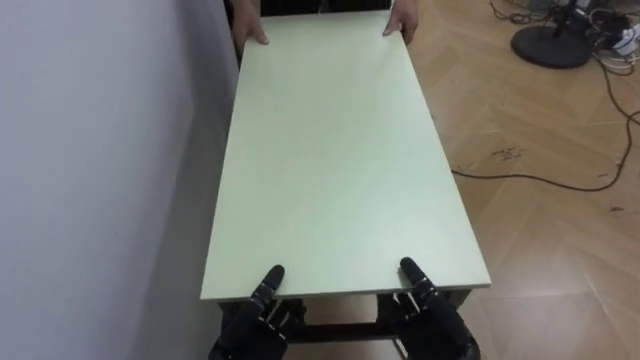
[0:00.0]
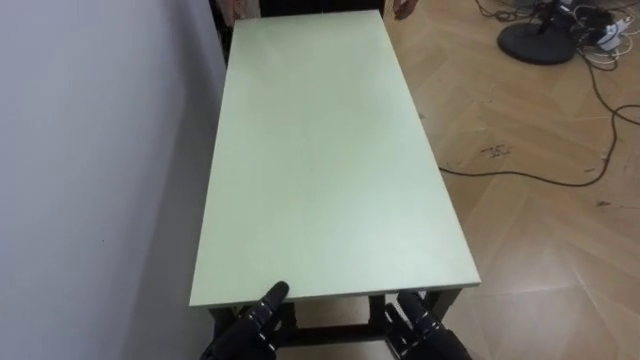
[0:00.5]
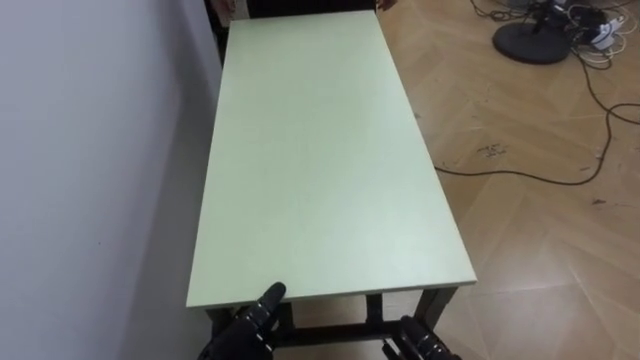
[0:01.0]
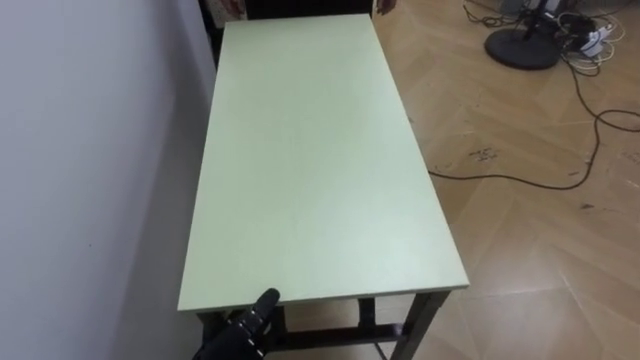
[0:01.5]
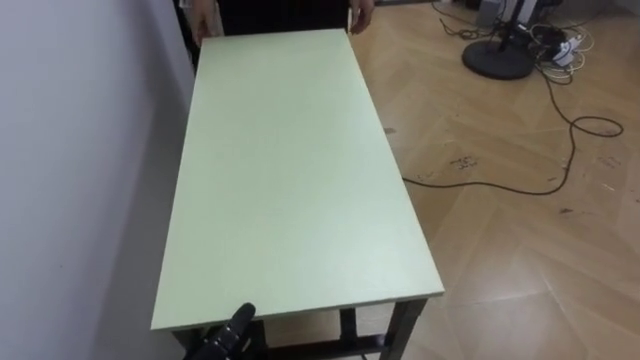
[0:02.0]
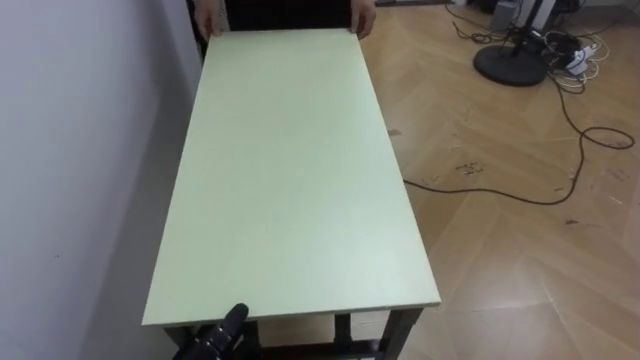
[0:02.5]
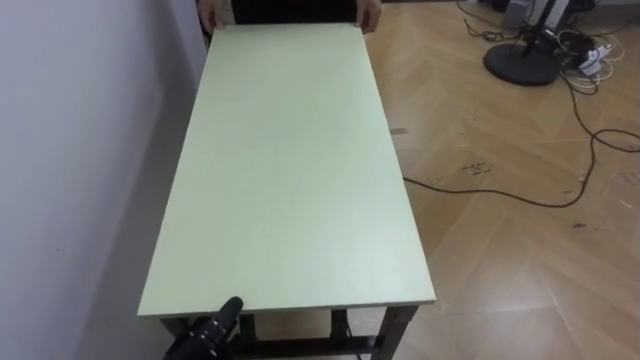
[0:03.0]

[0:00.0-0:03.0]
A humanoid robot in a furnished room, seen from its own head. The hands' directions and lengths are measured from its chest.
Task of the whole recording: Move the table to the back left with someone.
0:00.0 to 0:01.5: The left hand opens its fingers.

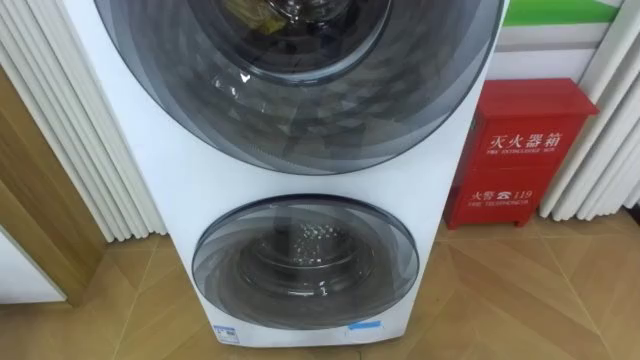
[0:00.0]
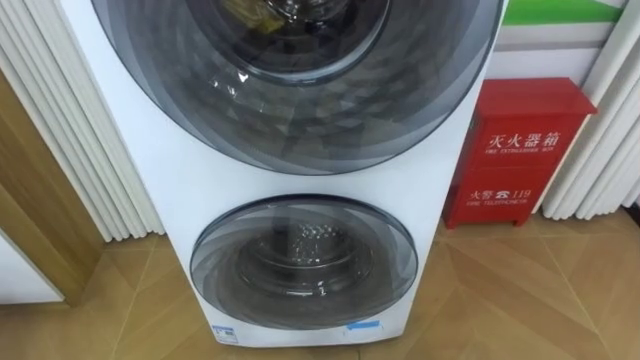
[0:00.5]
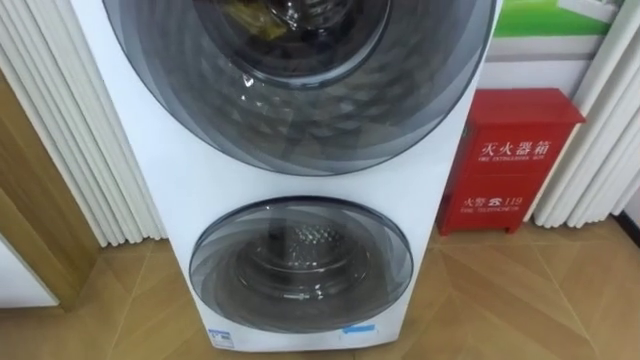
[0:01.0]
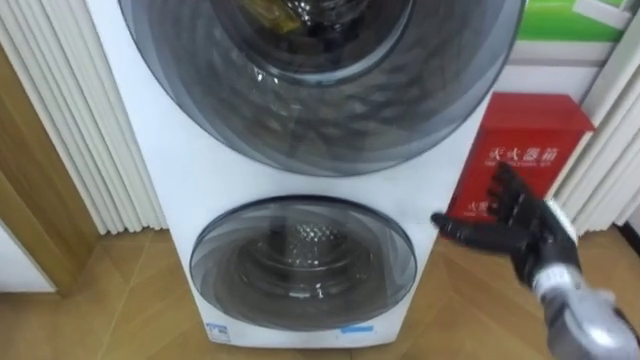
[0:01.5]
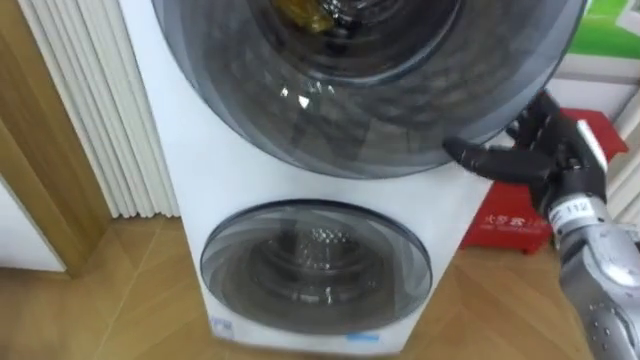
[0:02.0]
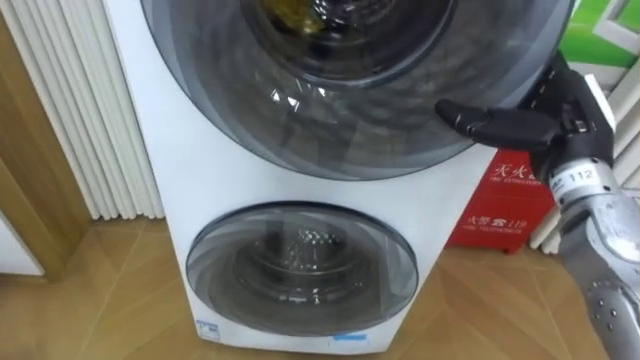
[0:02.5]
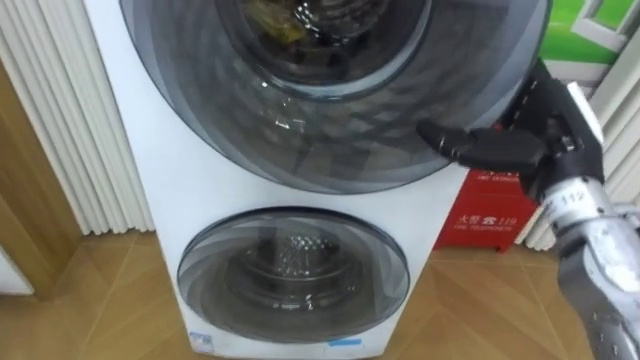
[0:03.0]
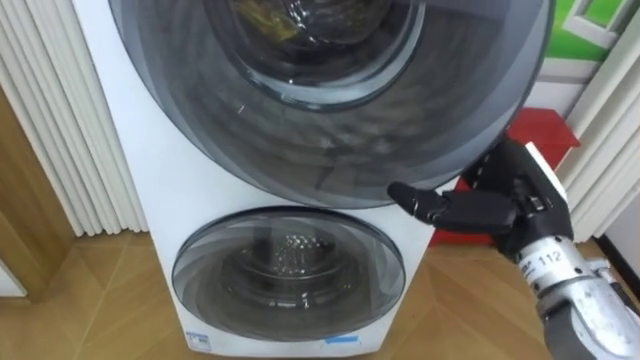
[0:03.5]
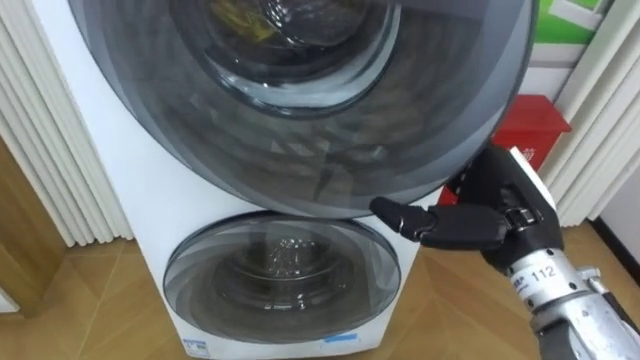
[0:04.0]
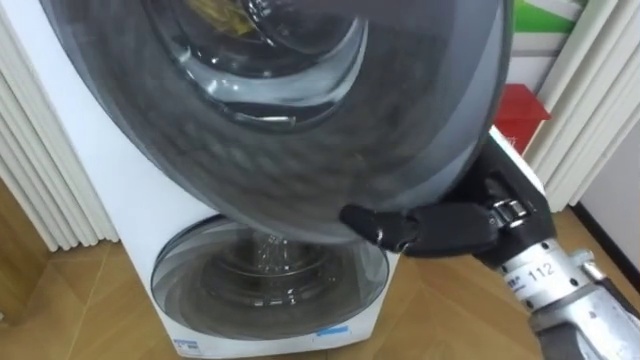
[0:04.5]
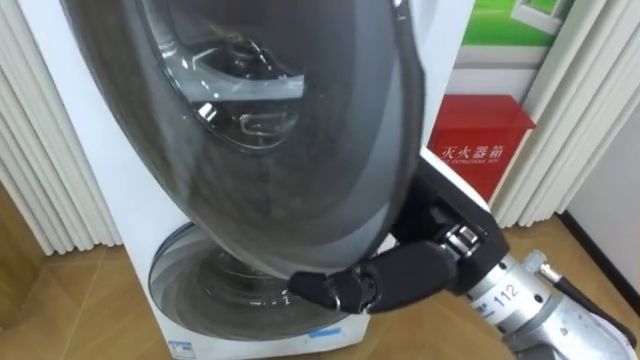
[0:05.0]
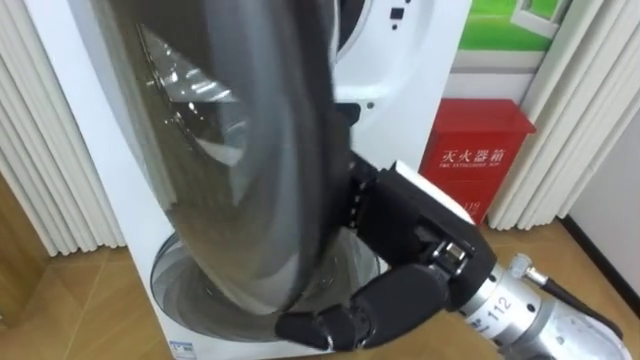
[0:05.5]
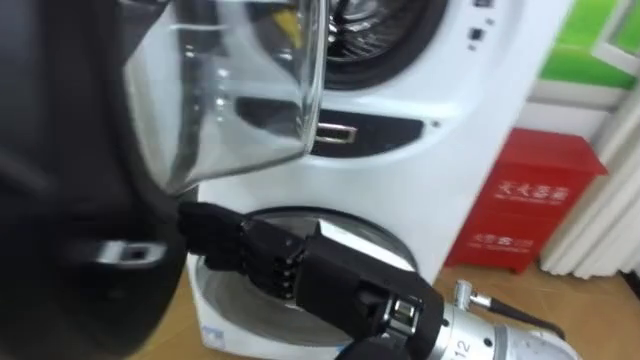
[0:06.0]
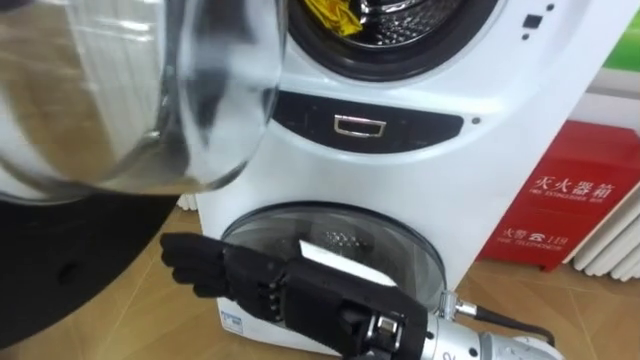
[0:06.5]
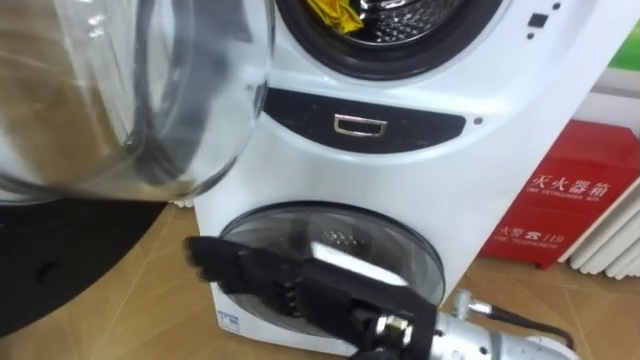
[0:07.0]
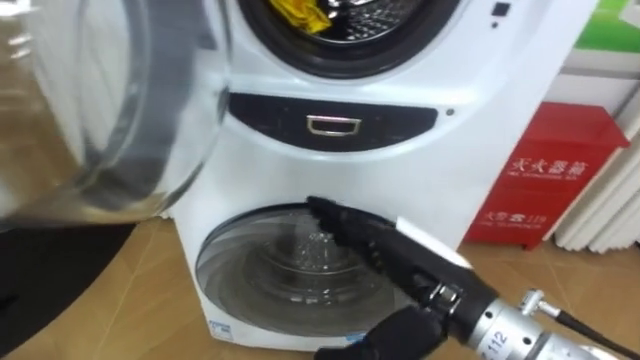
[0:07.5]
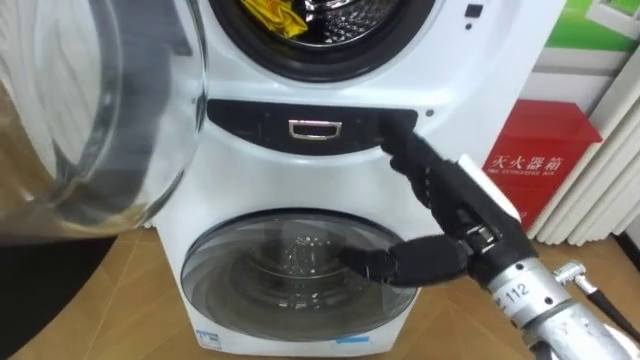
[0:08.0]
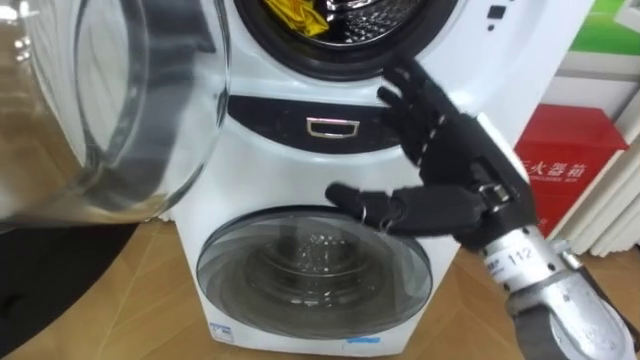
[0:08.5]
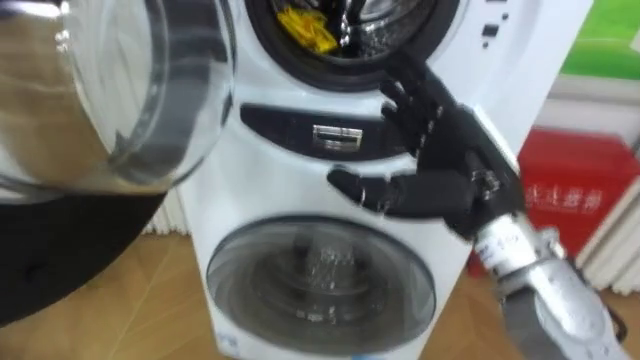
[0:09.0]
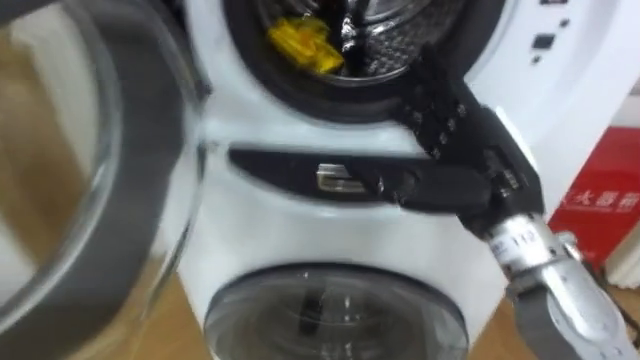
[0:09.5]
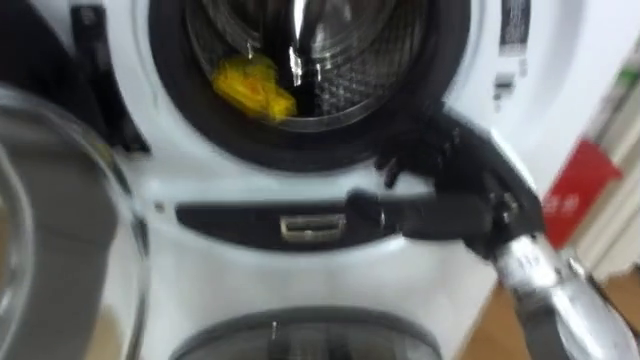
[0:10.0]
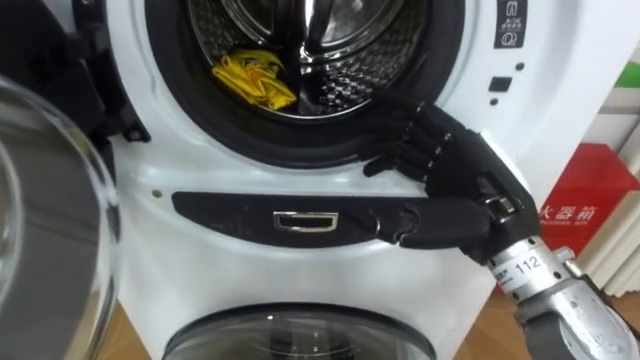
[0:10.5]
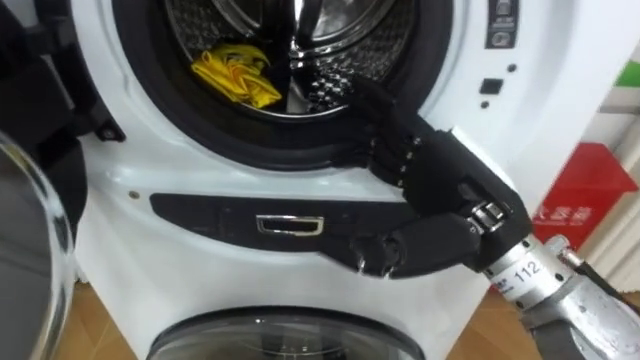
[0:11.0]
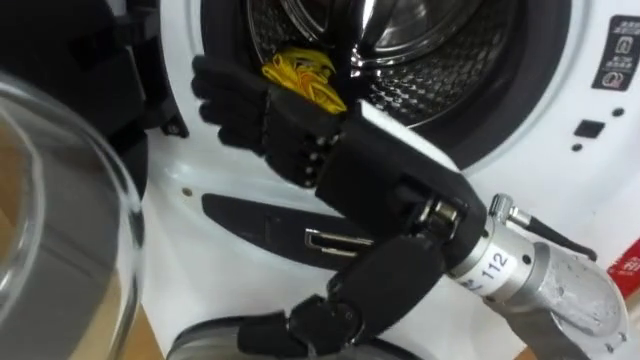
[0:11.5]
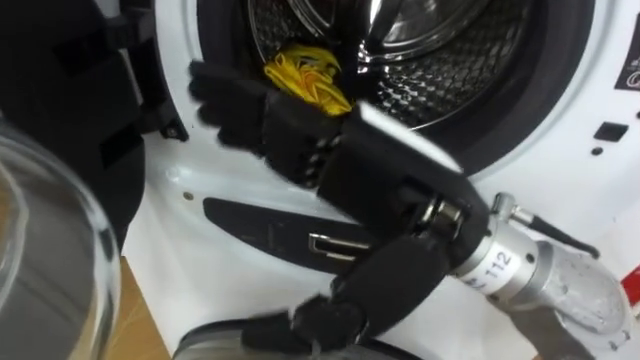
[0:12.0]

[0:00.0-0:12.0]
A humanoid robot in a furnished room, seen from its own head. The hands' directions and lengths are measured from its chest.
Task of the whole recording: Open the washing machine door, take out the yellow clothes, place them in the box on the right, and close the washing machine door.
0:02.0 to 0:04.0: The right hand travels to the left and backward by roughly 10 cm.
0:04.0 to 0:06.0: The right hand moves to the left and backward, about 15 cm.
0:06.0 to 0:08.0: The right hand goes roughly 15 cm to the right and forward.
0:10.0 to 0:12.0: The right hand shifts approximately 15 cm to the left, upward and backward.

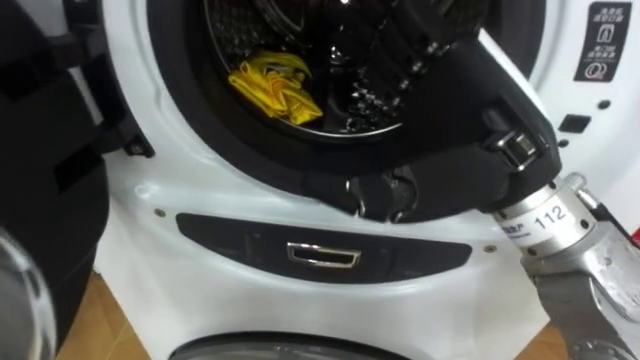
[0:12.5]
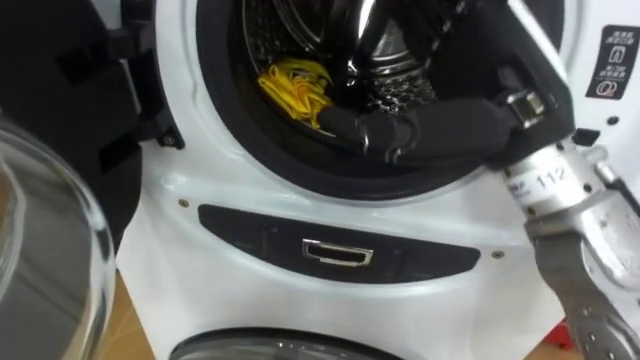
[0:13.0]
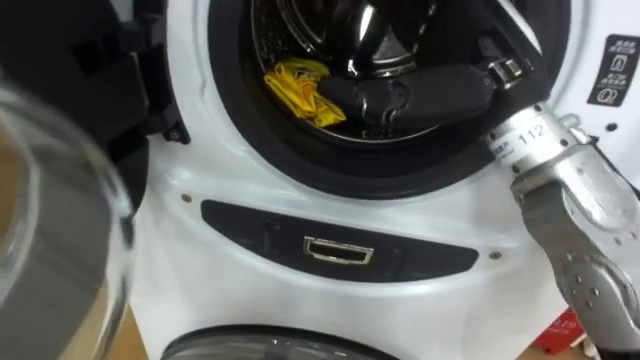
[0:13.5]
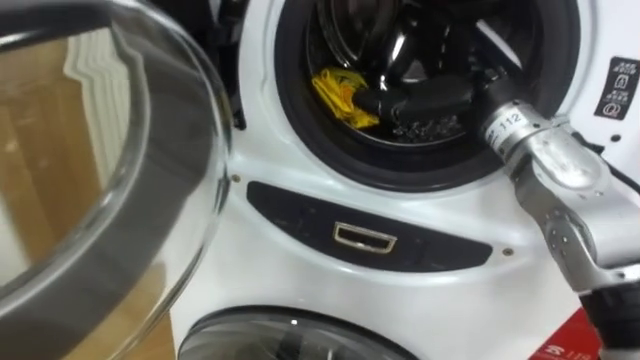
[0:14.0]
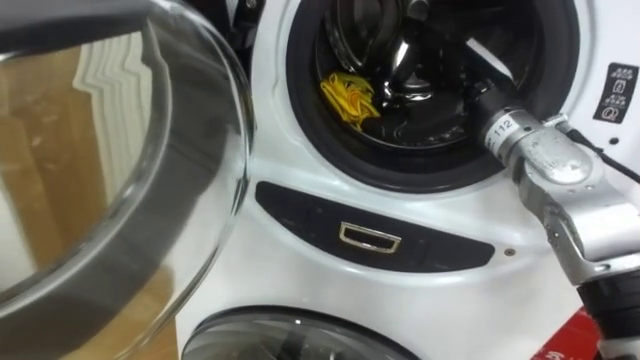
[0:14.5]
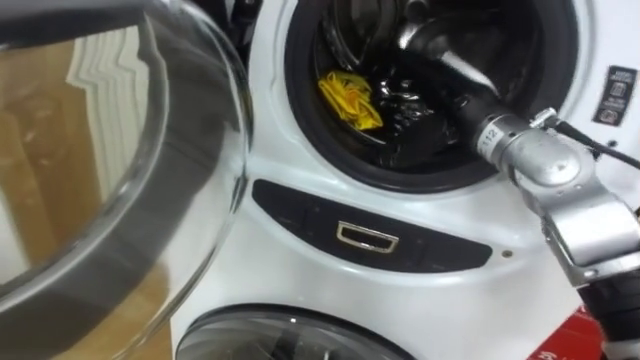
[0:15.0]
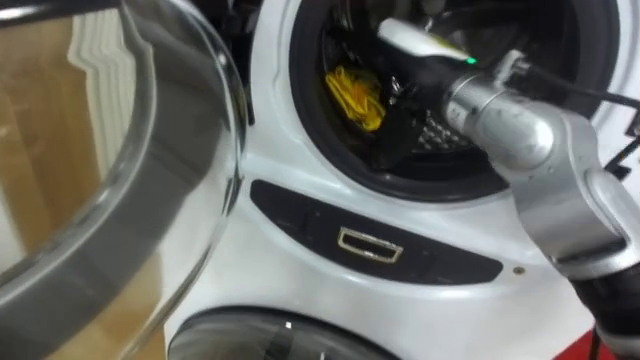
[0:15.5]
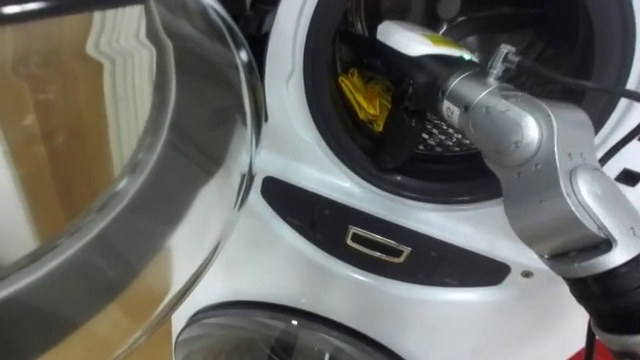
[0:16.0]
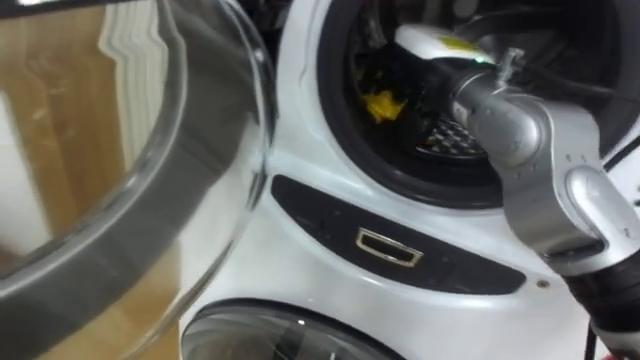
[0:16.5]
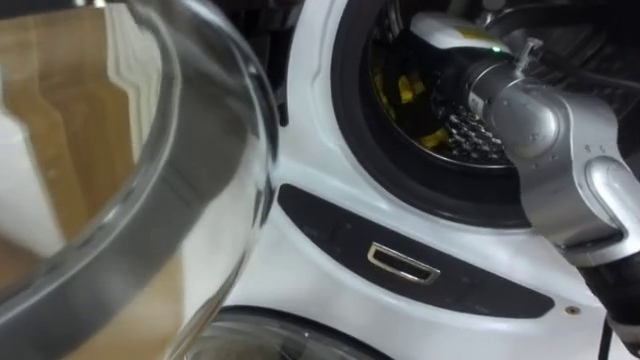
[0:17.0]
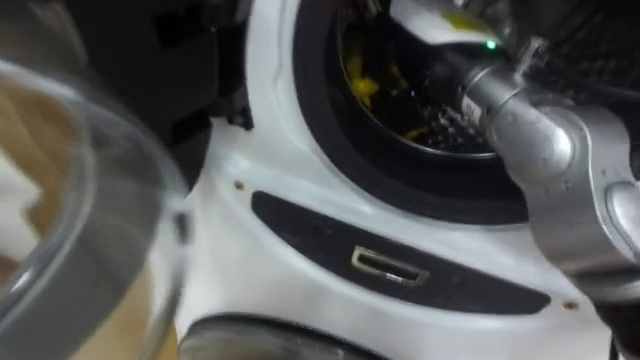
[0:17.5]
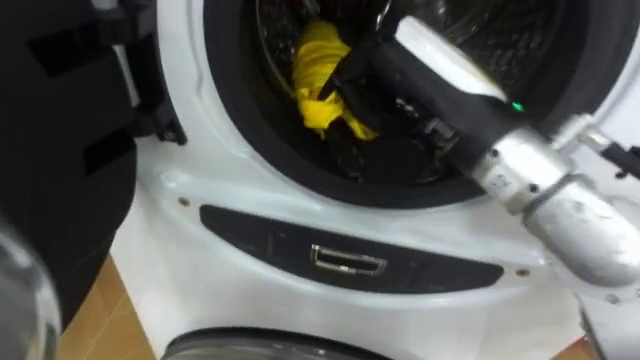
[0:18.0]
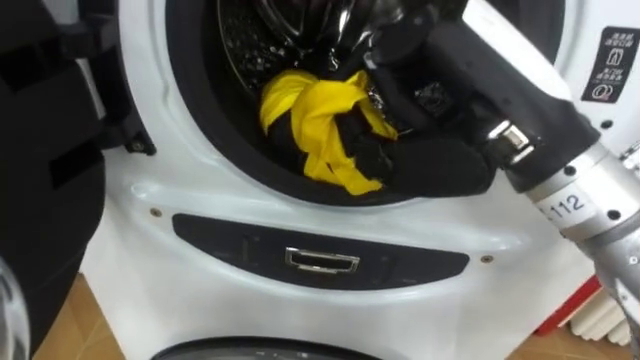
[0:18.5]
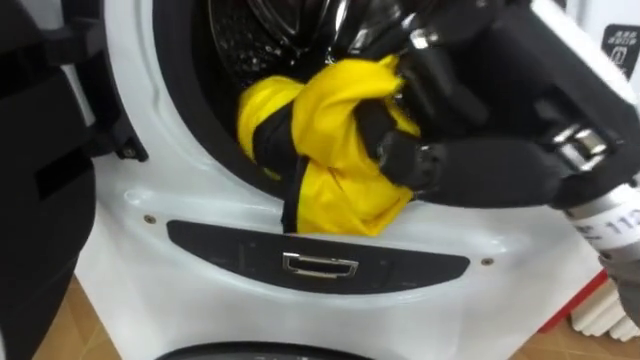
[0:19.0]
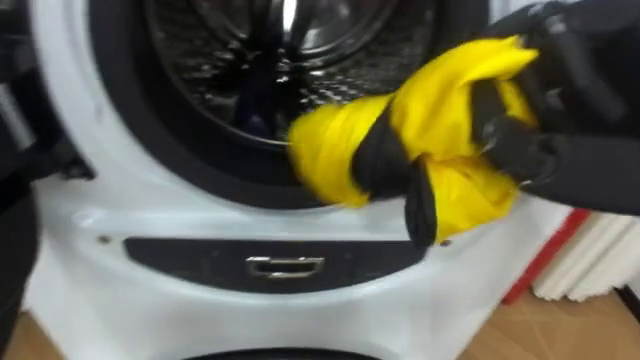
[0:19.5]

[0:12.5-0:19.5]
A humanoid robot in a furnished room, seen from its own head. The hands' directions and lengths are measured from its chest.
Task of the whole recording: Open the washing machine door, take out the yellow clothes, place them in the box on the right, and close the washing machine door.
0:12.5 to 0:14.5: The right hand shifts some 15 cm forward and downward.
0:14.5 to 0:16.0: The right hand shifts about 5 cm to the left.
0:16.0 to 0:17.5: The right hand closes up.
0:17.5 to 0:19.5: The right hand heads backward and to the right, covering approximately 15 cm.
